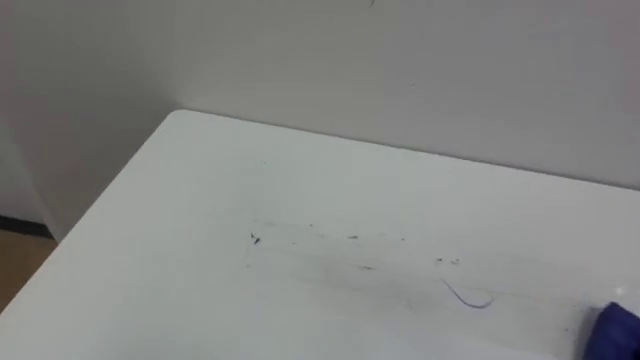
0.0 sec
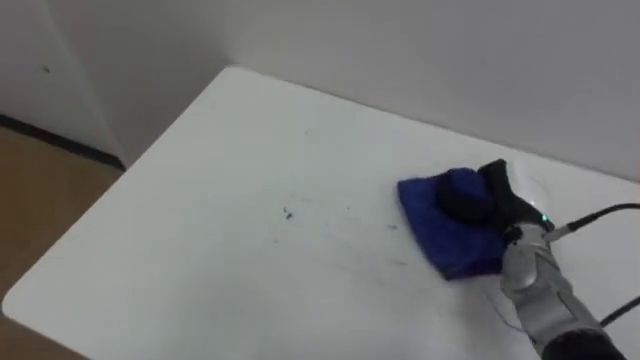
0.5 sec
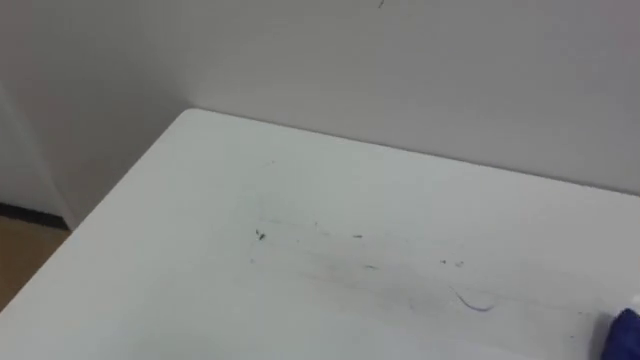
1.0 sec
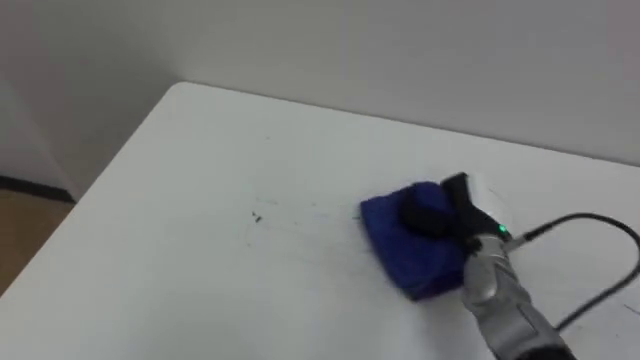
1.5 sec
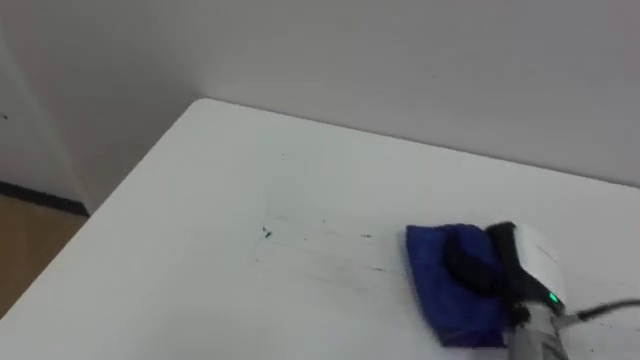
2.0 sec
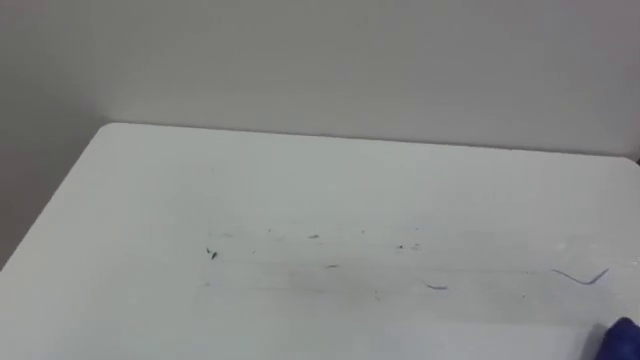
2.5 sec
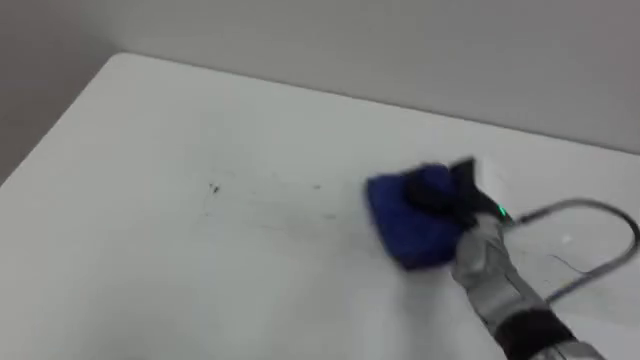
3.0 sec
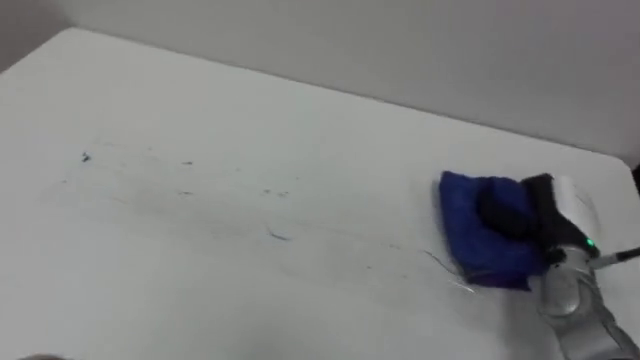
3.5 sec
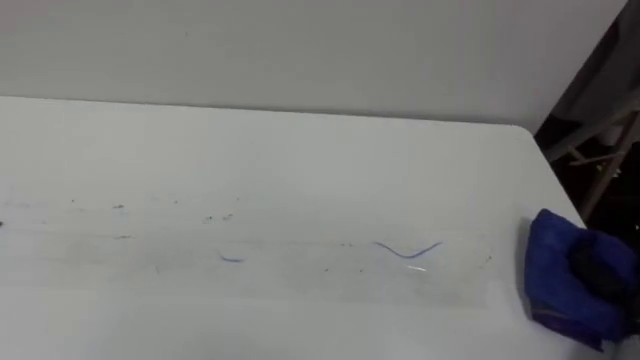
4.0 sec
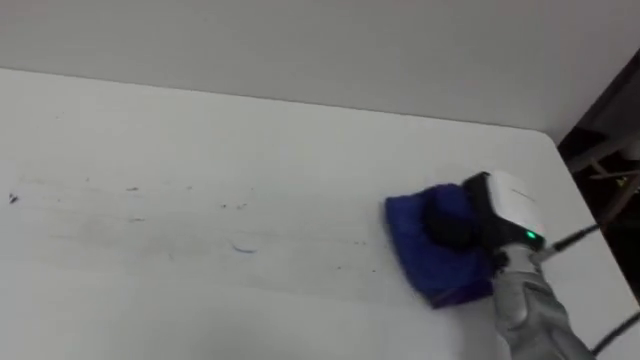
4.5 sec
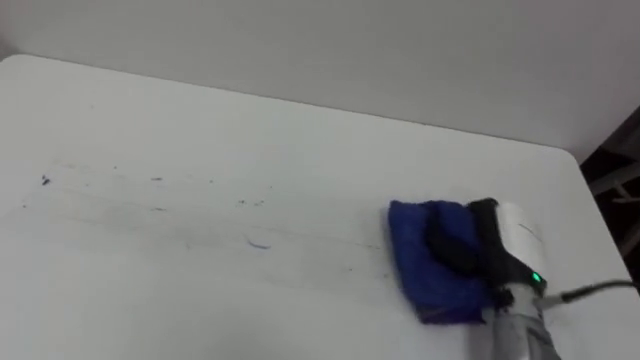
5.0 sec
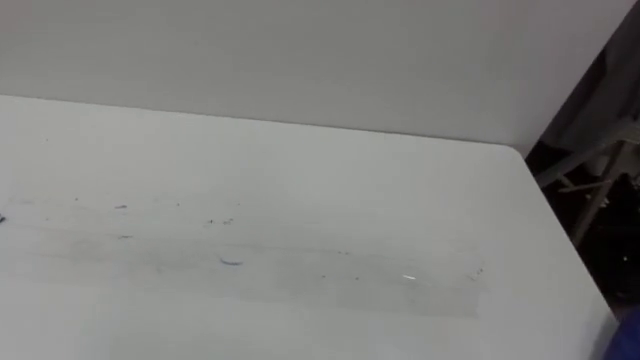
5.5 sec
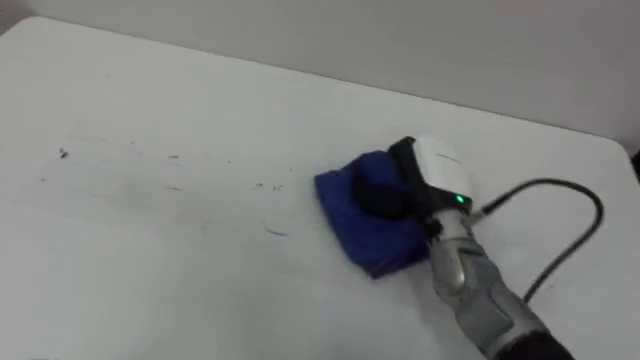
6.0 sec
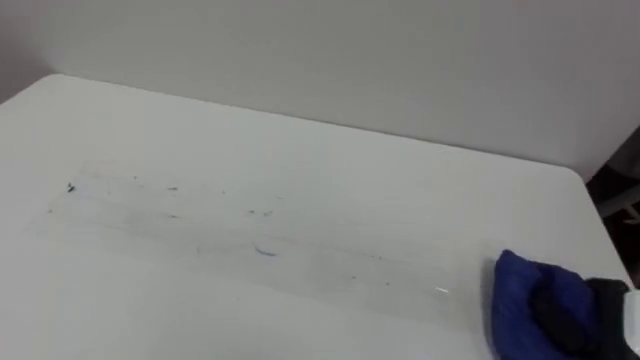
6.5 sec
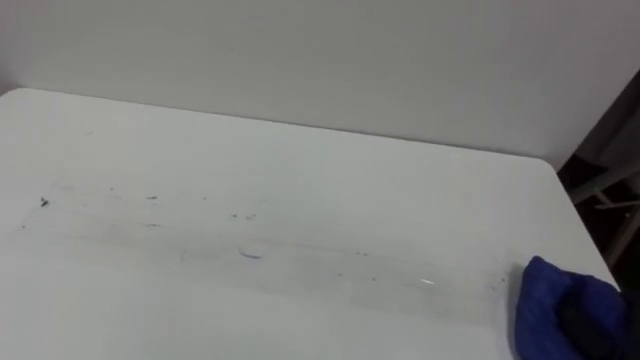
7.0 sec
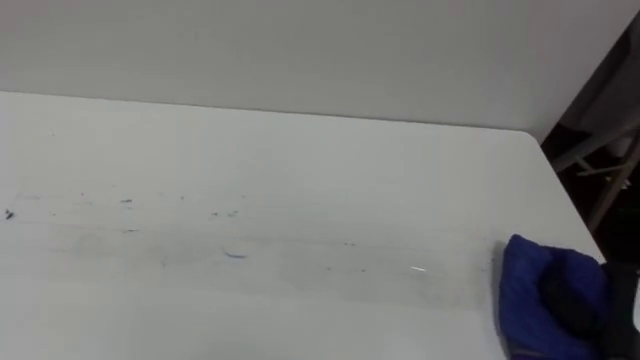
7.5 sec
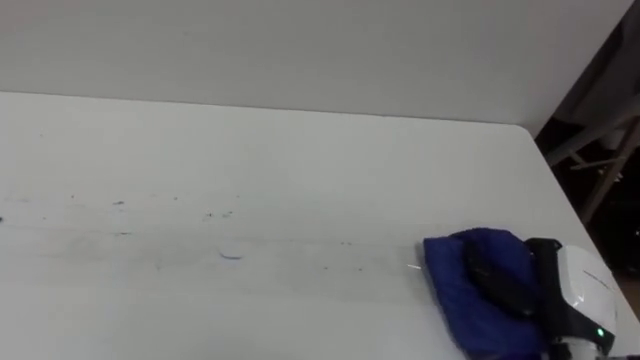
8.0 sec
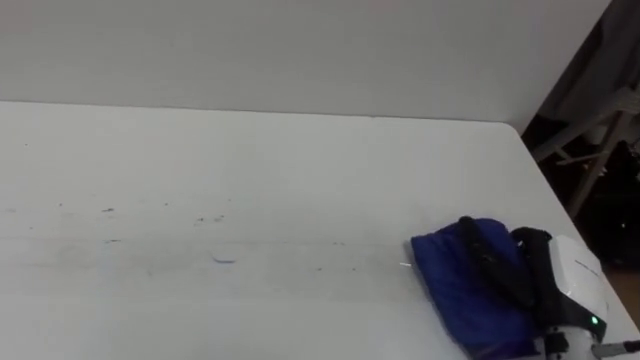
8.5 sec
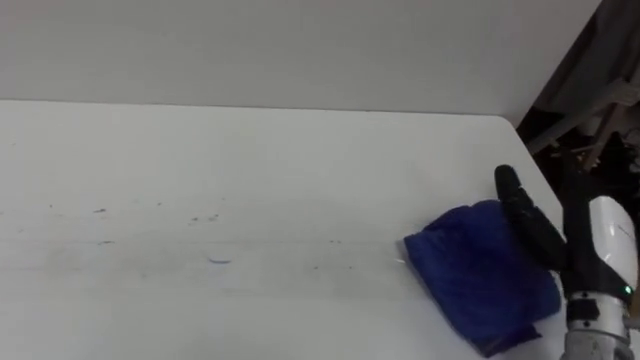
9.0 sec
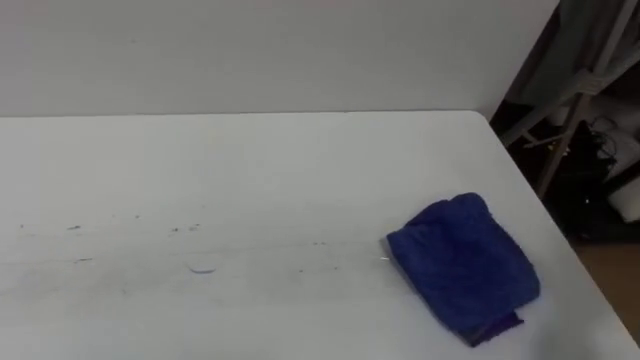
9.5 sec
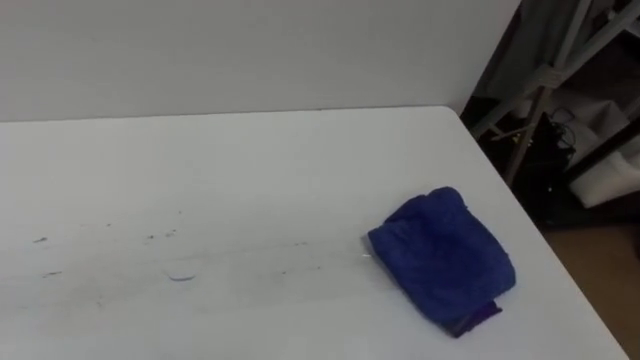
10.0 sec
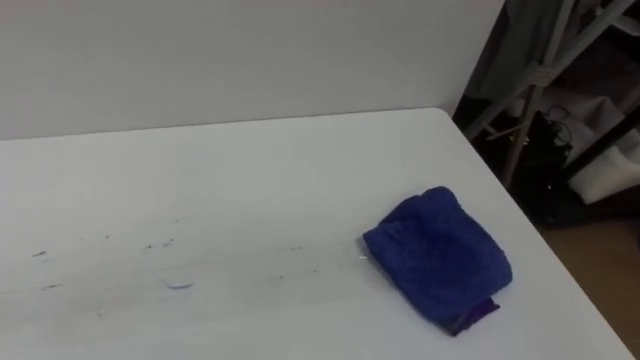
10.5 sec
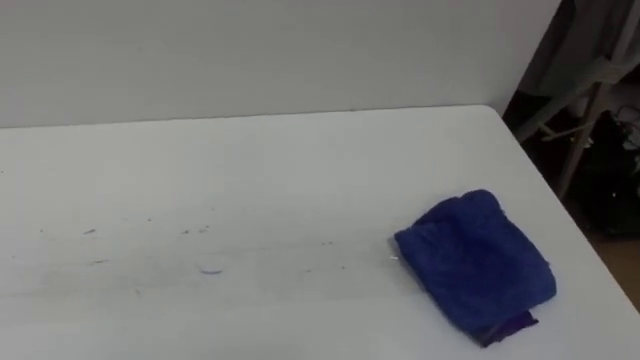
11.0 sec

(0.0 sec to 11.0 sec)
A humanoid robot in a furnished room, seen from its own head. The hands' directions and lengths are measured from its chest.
Task of the whole recording: Wipe the blue pen marks off the table with the rag.
7.5 sec - 9.0 sec: The right hand moves forward, upward and to the left, approximately 10 cm, and opens its fingers.

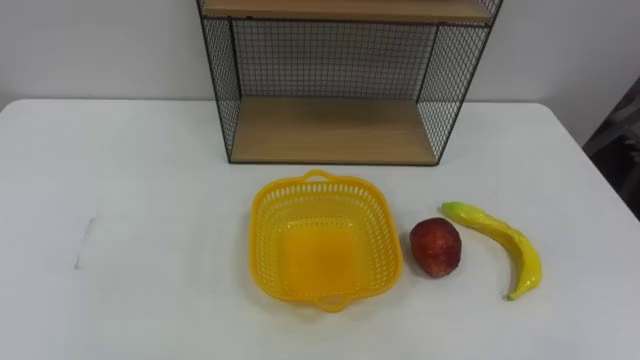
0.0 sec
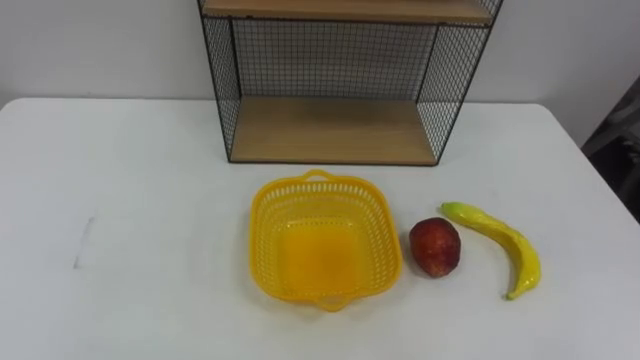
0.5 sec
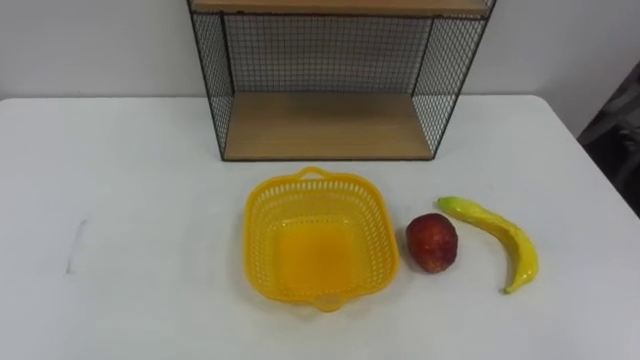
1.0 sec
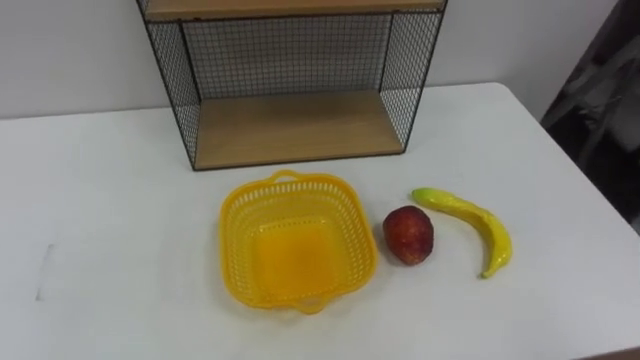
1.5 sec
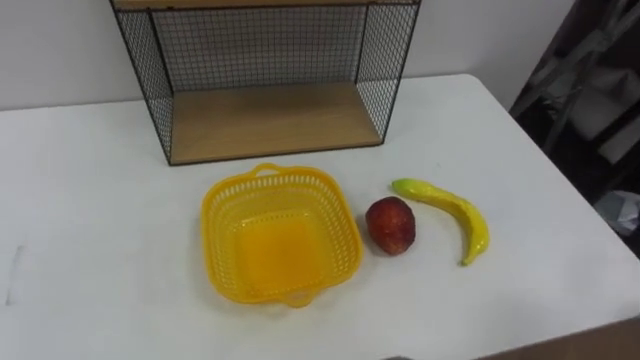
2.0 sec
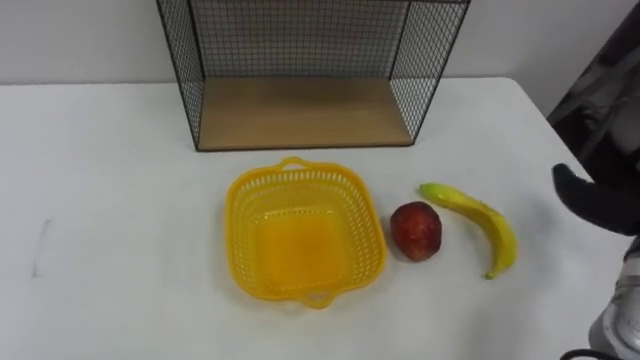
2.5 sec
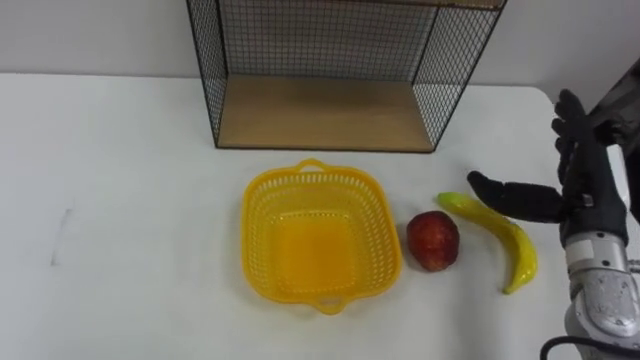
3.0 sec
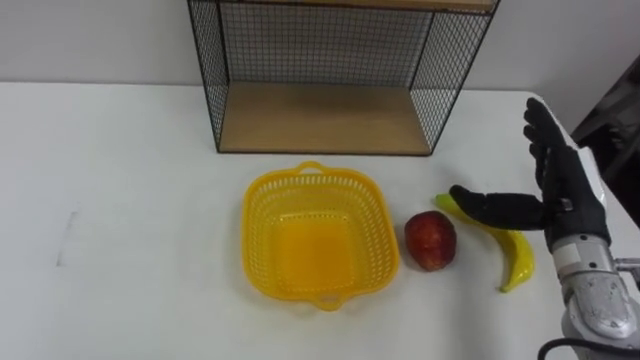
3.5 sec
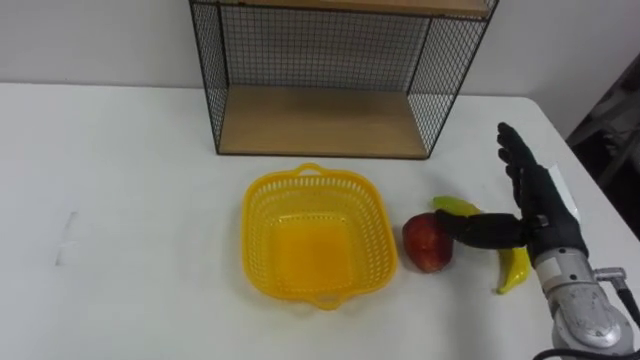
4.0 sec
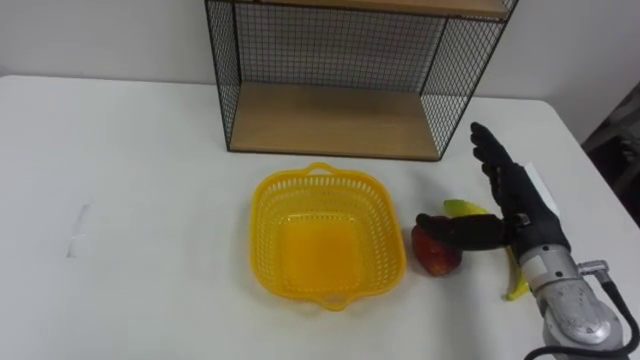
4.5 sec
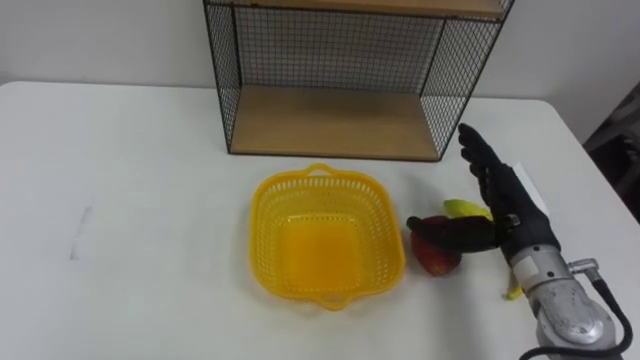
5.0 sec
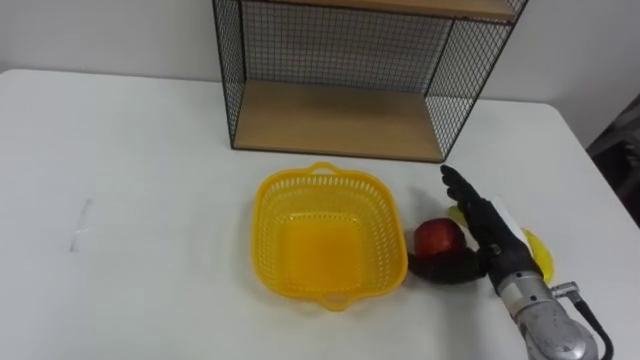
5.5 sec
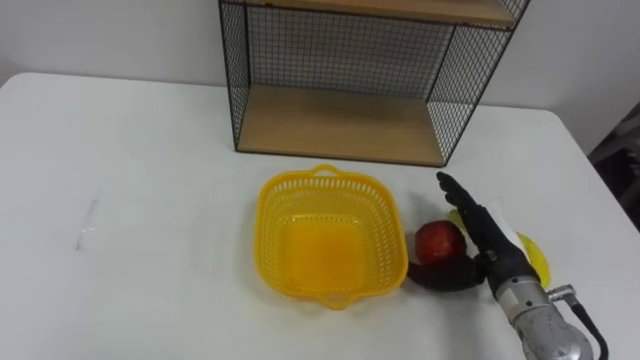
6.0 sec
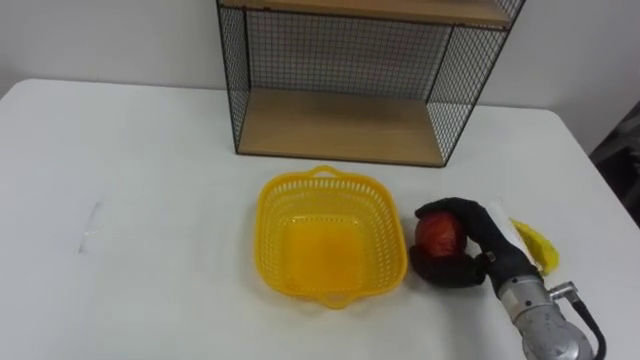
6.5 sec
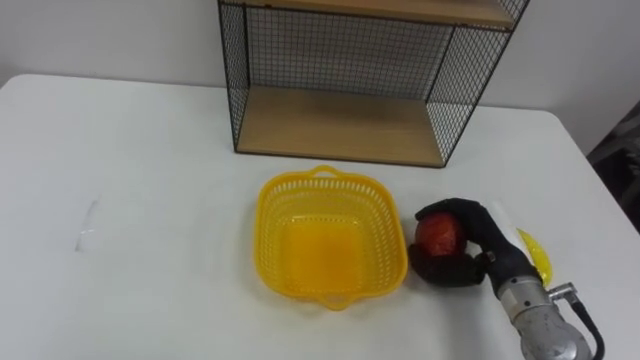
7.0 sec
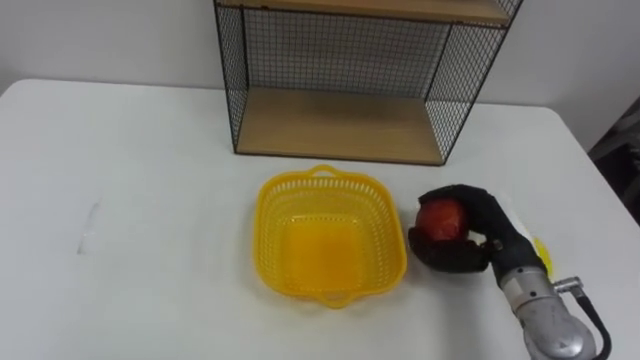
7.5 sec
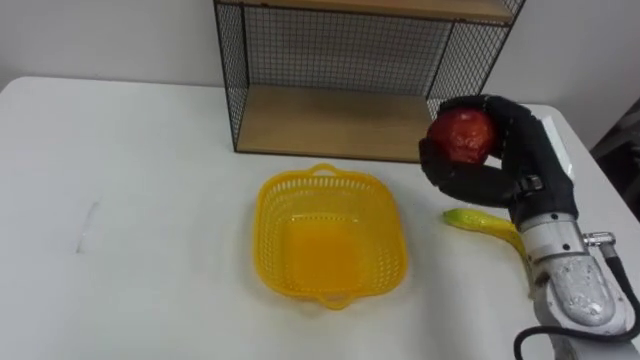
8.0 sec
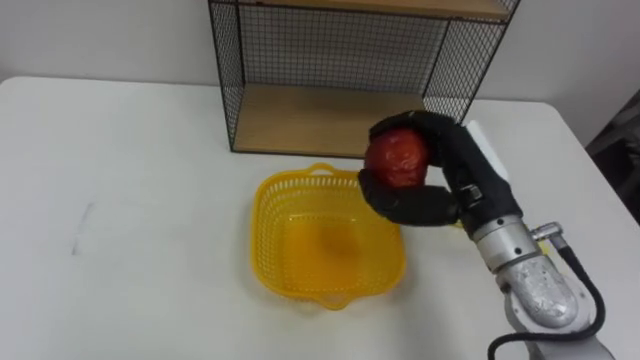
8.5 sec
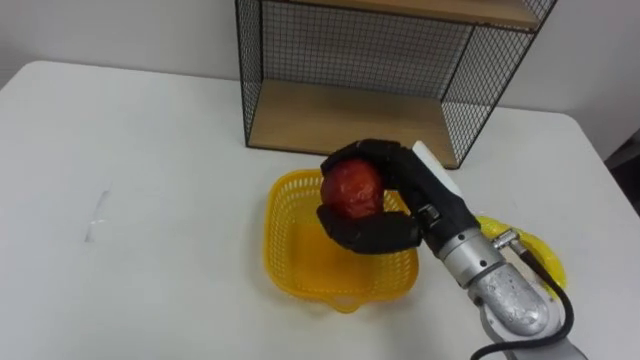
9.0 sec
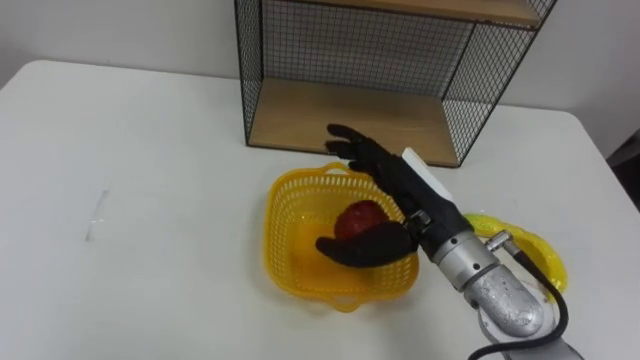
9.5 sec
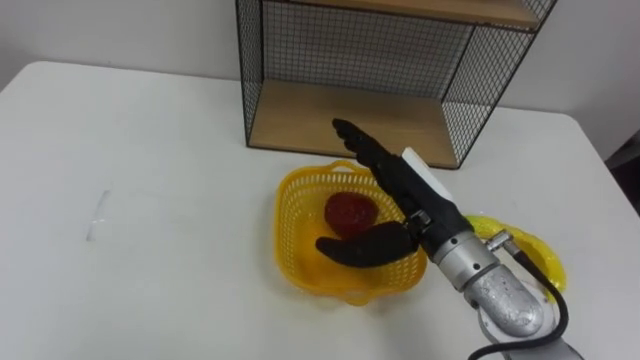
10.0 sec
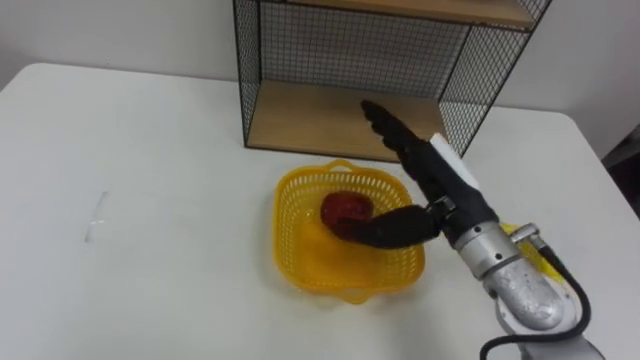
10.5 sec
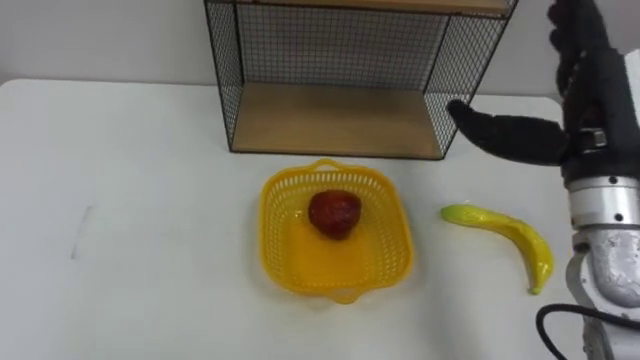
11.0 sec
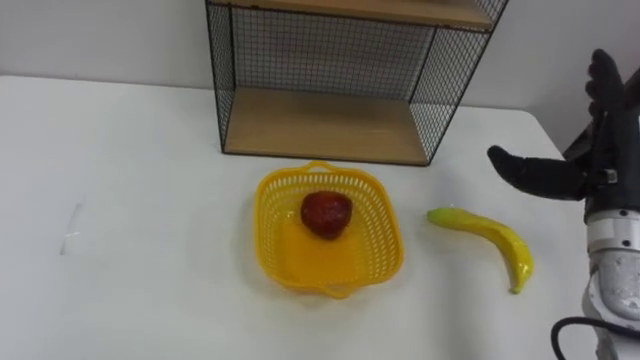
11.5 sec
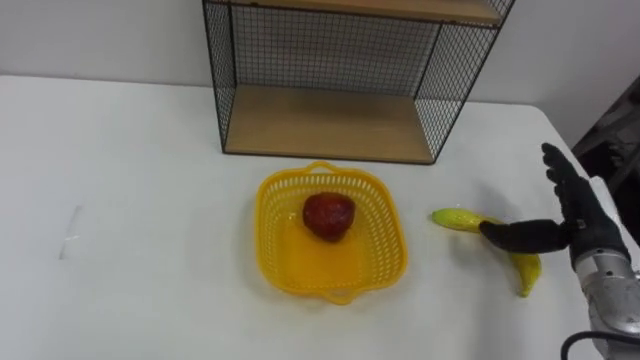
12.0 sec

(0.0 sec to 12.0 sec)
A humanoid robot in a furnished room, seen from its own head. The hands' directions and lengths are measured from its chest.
Task of the whole recording: Put the fruit on the table into the basket, then place the basket on the shelf.
4.0 sec - 6.0 sec: The right hand moves downward, roughly 5 cm.
6.0 sec - 8.0 sec: The right hand shifts roughly 10 cm upward, and closes up.
8.0 sec - 10.0 sec: The right hand travels to the left by some 10 cm, and opens its fingers.
10.0 sec - 12.0 sec: The right hand moves to the right, roughly 20 cm.
